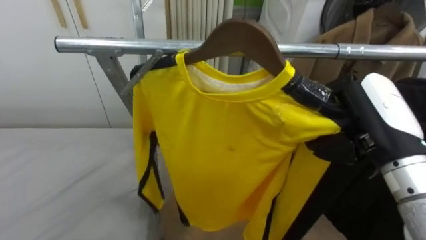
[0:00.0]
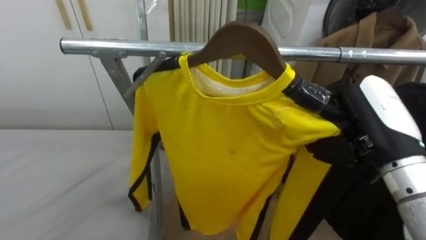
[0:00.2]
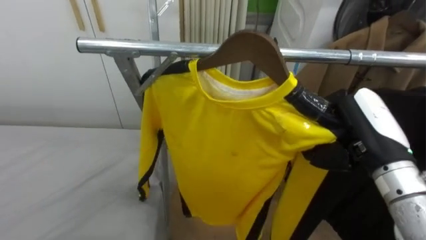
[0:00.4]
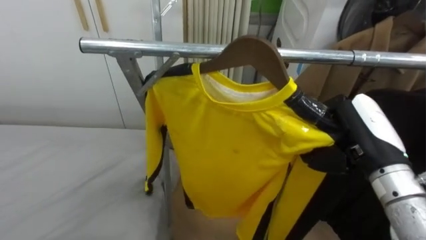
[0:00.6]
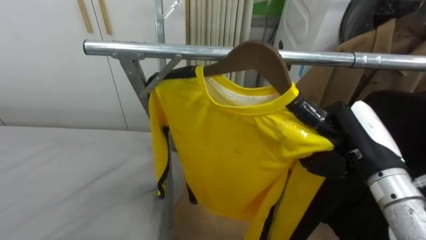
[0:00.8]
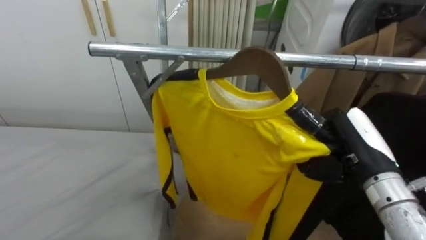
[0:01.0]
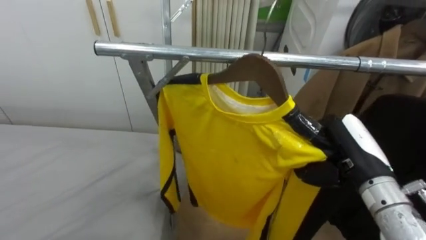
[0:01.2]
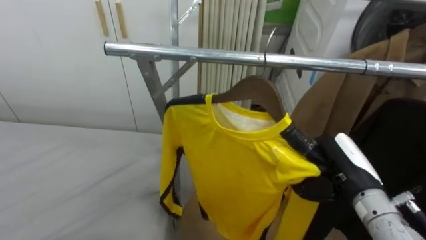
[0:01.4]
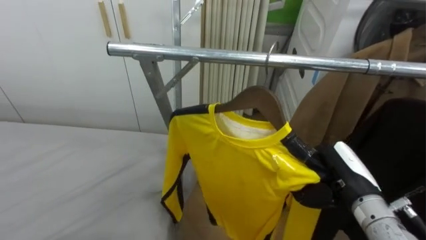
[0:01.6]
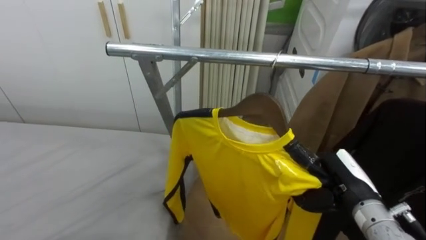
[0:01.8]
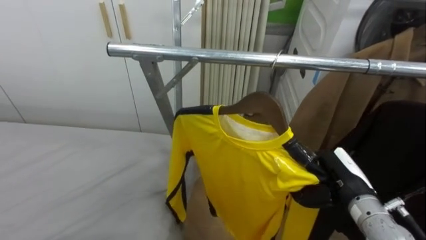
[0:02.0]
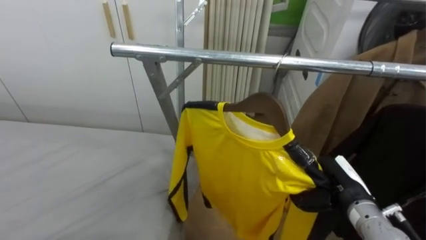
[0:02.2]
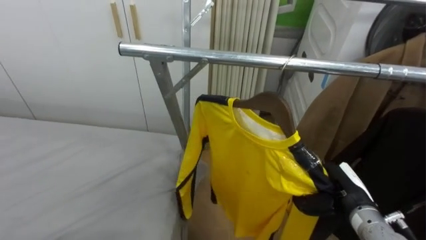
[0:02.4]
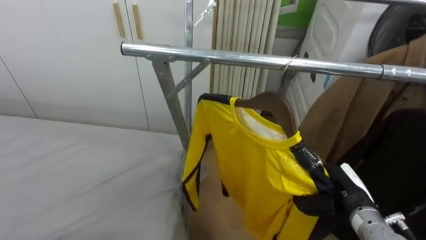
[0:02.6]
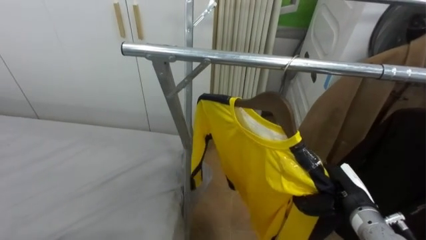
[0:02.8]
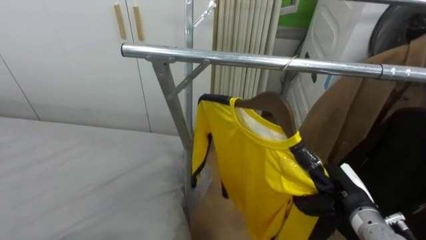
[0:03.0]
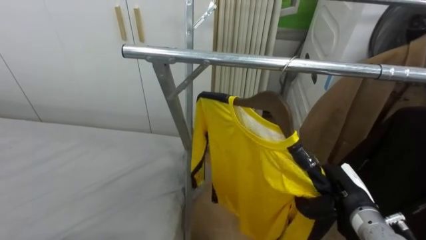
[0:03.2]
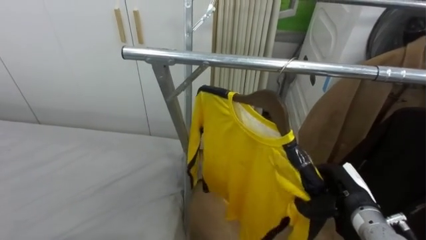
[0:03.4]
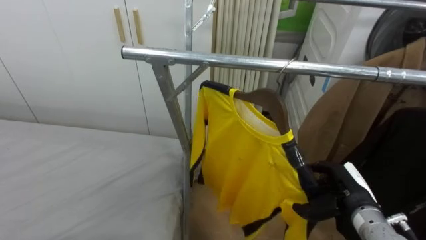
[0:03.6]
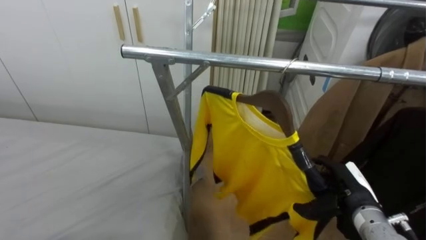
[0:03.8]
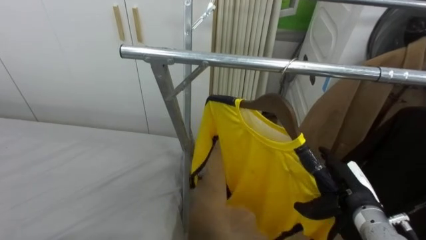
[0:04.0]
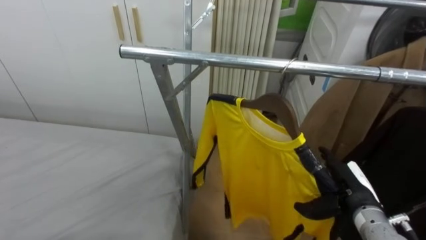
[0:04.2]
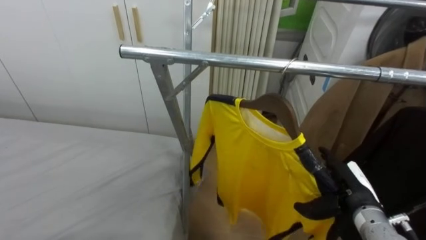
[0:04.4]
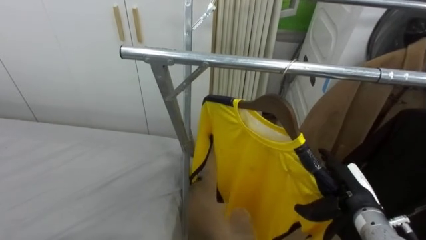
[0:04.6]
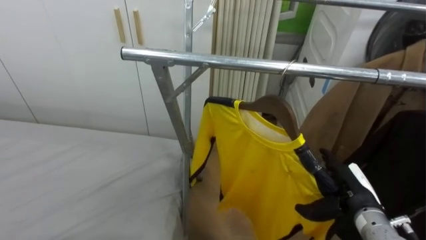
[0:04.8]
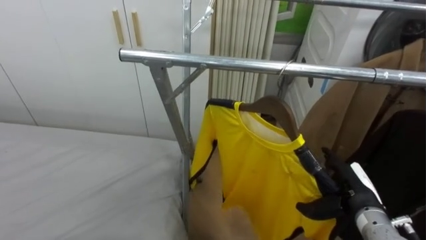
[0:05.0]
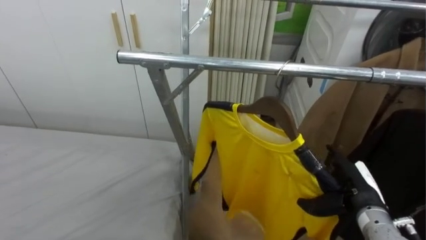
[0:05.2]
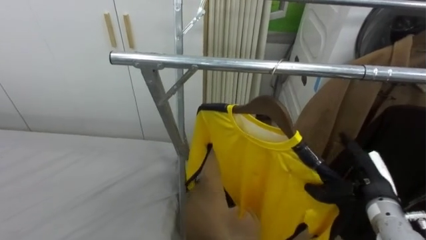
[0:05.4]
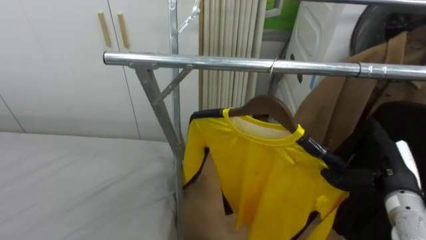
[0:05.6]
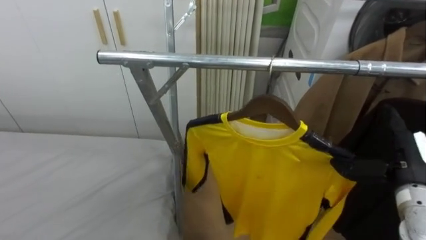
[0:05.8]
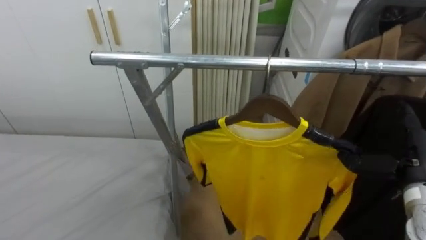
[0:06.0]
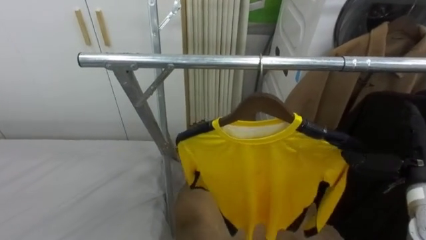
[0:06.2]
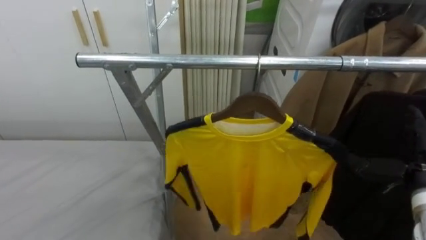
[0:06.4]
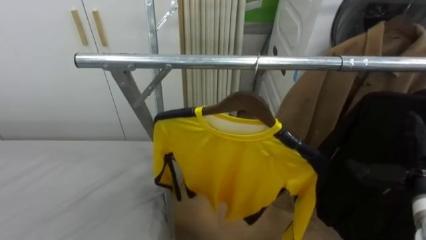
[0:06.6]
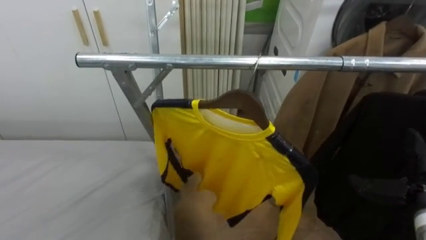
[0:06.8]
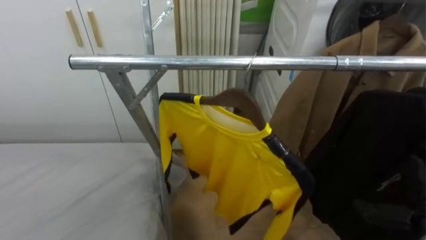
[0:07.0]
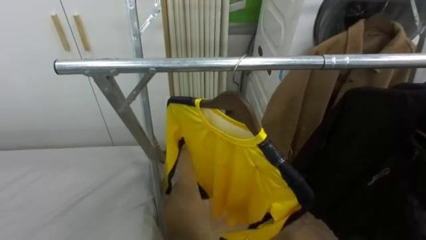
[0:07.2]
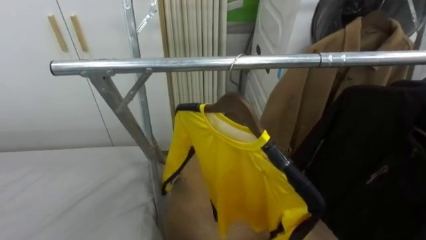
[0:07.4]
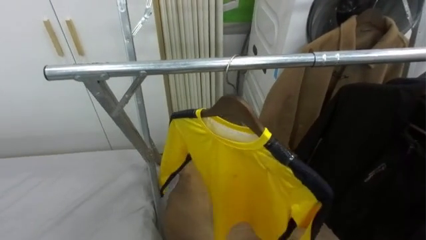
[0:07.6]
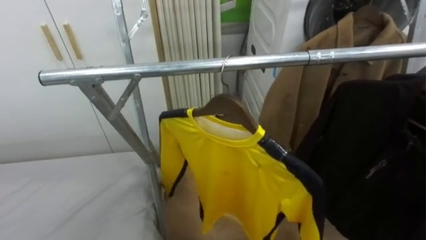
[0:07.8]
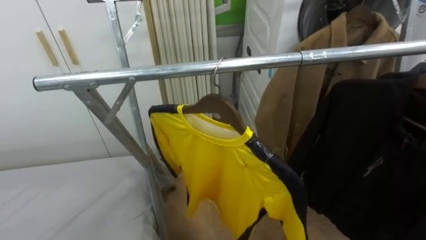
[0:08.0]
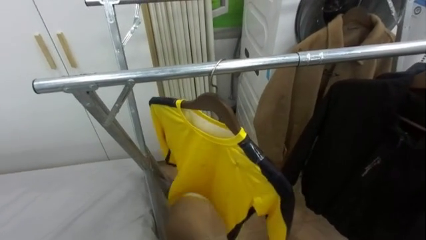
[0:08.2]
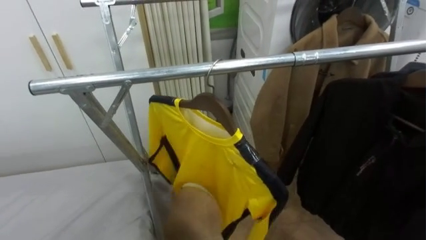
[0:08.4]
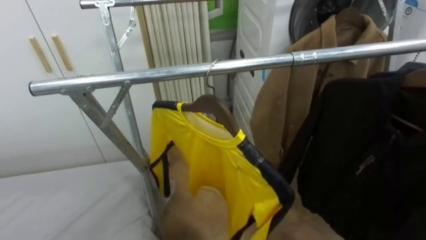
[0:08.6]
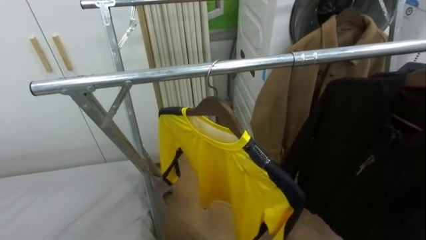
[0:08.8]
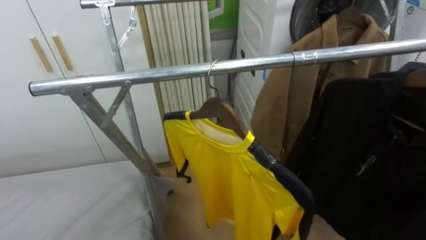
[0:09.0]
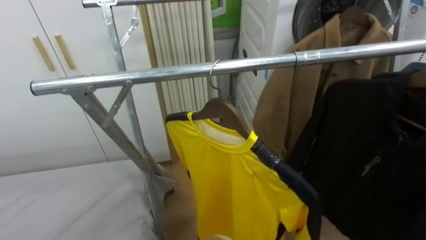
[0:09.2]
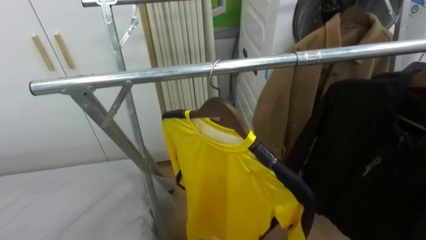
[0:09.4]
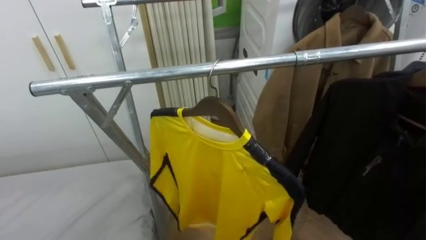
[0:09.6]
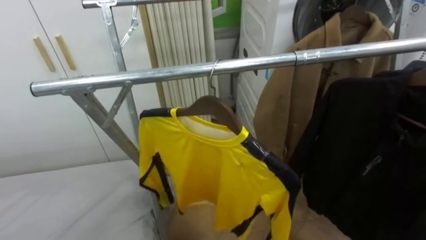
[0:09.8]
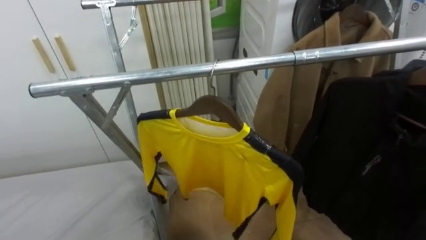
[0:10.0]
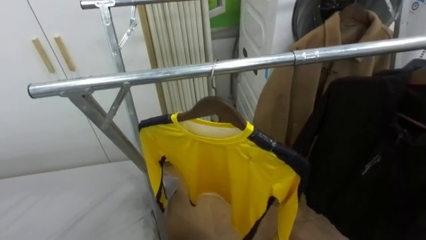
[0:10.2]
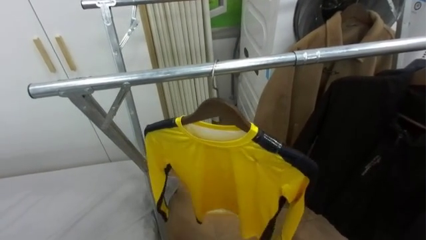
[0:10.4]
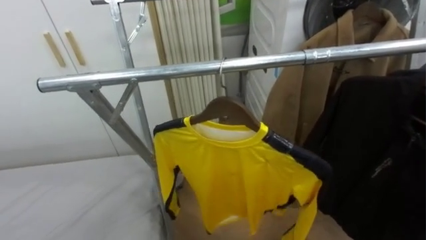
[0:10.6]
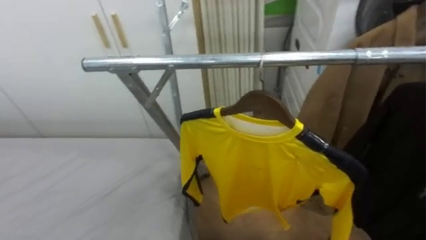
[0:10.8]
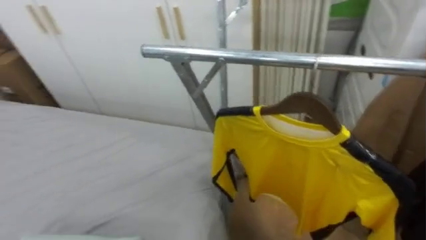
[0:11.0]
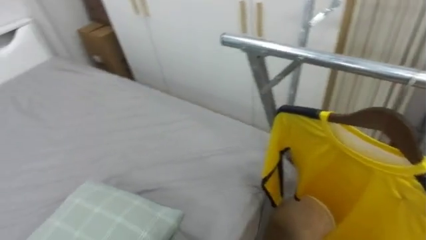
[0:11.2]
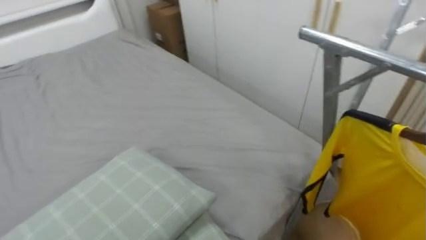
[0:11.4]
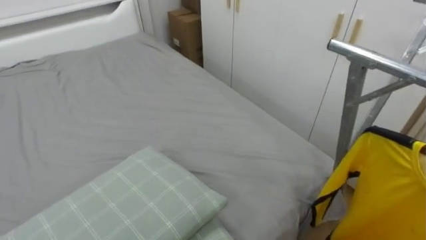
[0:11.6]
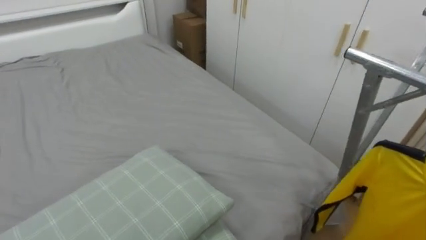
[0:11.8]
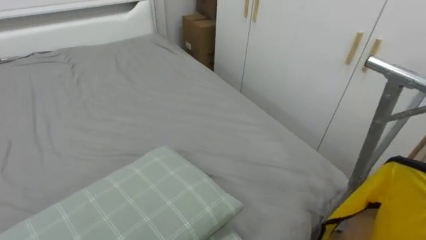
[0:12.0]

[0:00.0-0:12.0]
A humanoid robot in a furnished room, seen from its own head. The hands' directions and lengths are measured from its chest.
Task of the whole recording: Pick up the yellow shirt on the bed and hang it on the clothes rack on the right.
0:00.0 to 0:01.6: The right hand heads downward, covering roughly 15 cm.
0:01.6 to 0:03.0: The right hand is displaced downward by about 5 cm.
0:03.0 to 0:04.4: The right hand opens.
0:04.4 to 0:06.0: The right hand travels upward and to the right by roughly 10 cm.
0:10.4 to 0:12.0: The robot rotates about 60 degrees to its left.

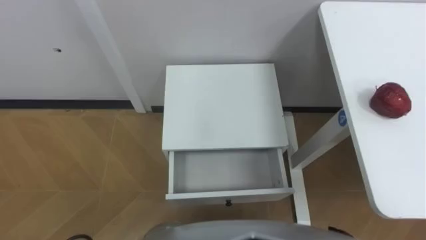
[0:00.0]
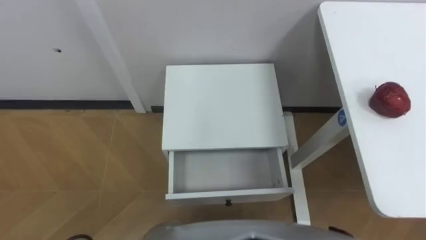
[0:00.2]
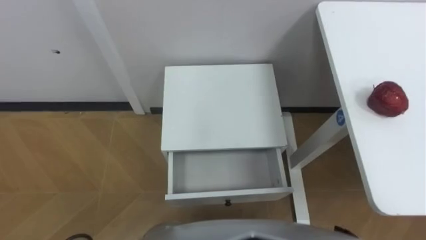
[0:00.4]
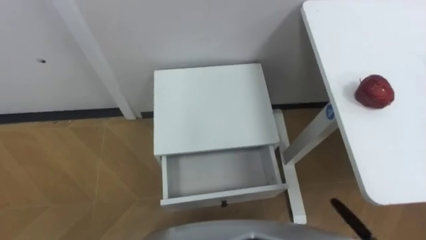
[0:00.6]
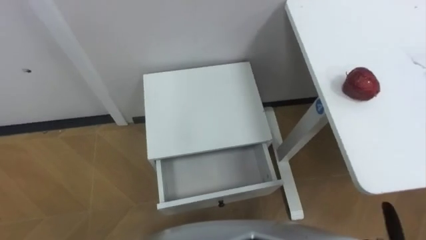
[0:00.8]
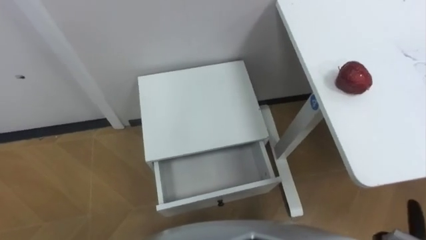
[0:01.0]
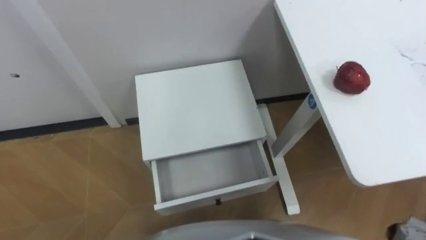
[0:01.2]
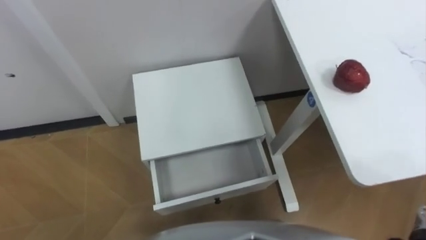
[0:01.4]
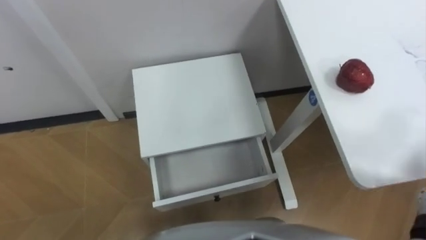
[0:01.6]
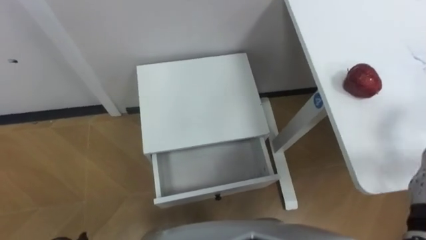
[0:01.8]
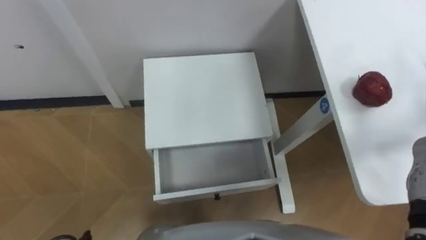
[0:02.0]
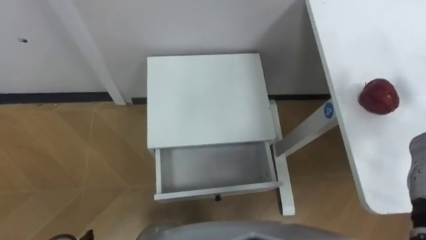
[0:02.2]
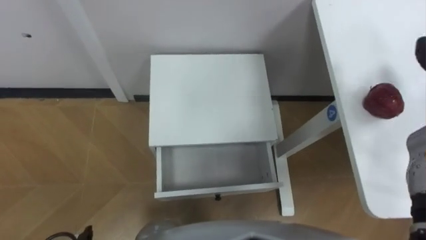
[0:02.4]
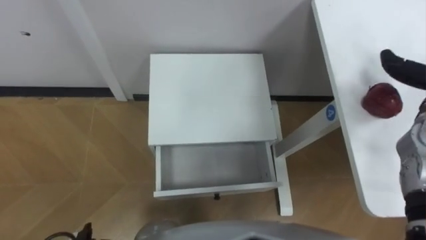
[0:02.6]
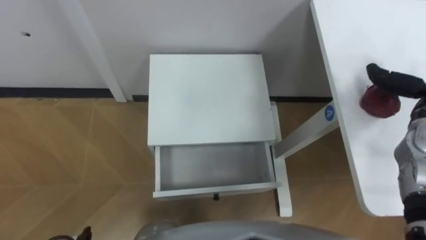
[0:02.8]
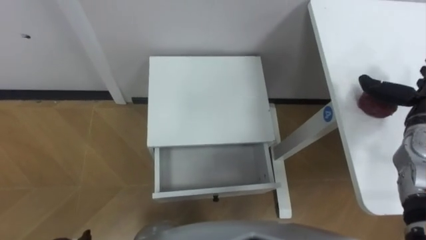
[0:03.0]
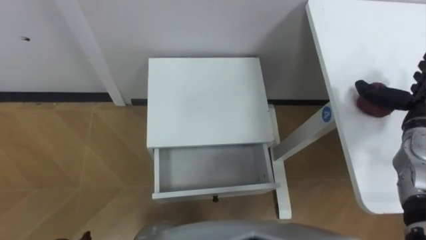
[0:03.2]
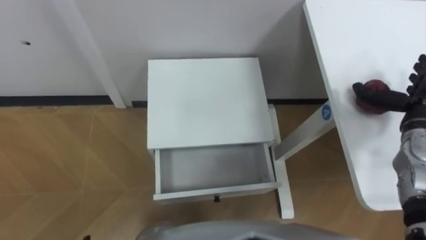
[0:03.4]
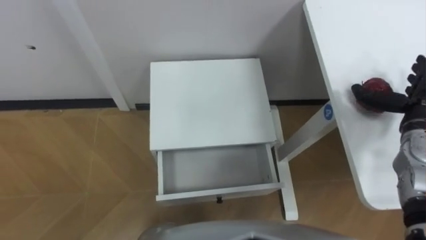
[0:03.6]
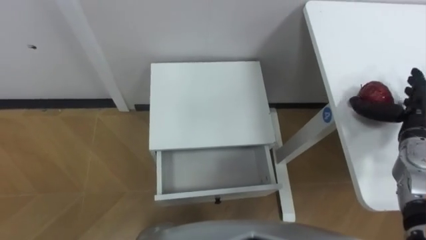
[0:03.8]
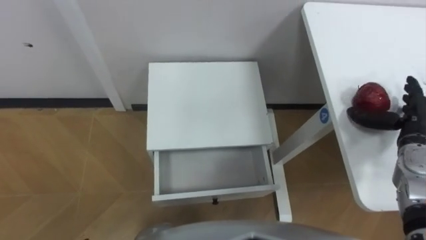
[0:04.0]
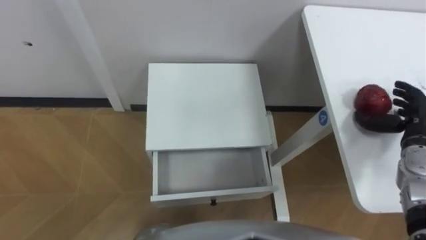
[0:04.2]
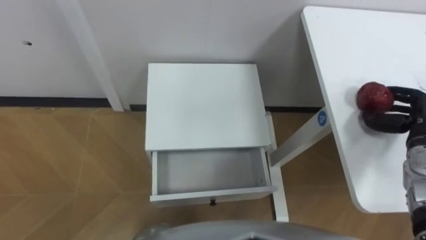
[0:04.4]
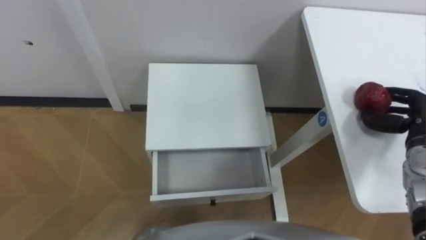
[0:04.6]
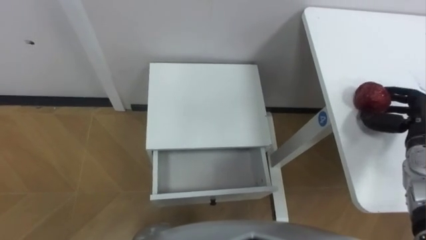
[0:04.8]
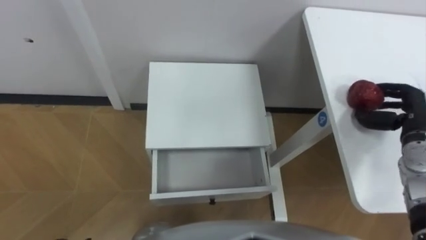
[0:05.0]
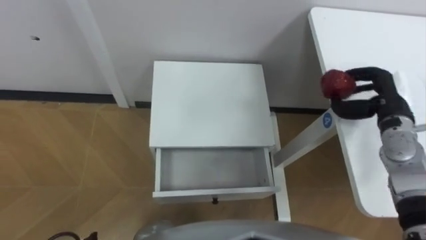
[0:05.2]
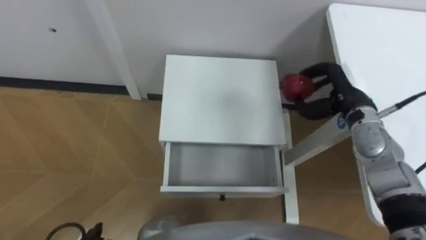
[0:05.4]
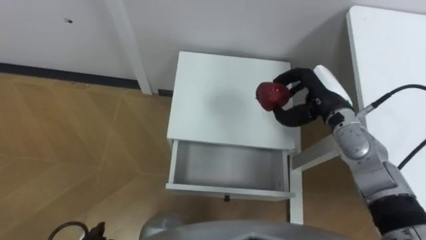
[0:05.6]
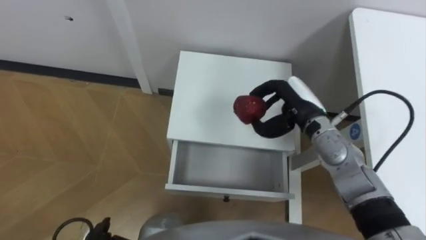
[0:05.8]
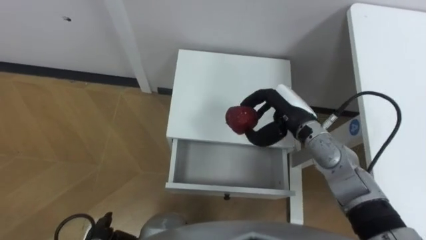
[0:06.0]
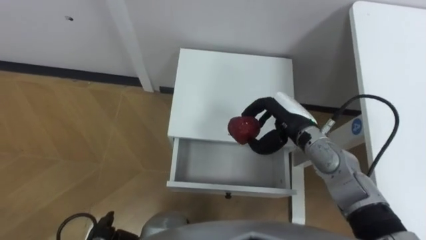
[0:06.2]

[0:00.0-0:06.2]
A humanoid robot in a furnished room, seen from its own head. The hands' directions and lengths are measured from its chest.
Task of the whole recording: Pick up the apple from the table, put it in the drawer, and close the drawer with leg.
0:03.2 to 0:04.6: The right hand closes up.
0:04.6 to 0:06.2: The right hand heads to the left, covering about 25 cm.
